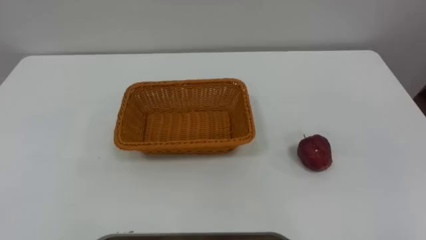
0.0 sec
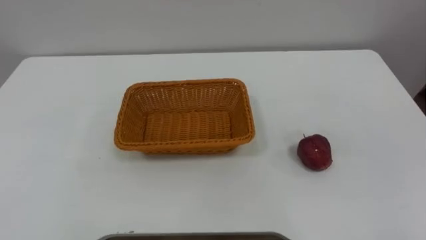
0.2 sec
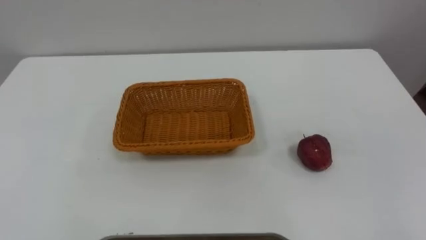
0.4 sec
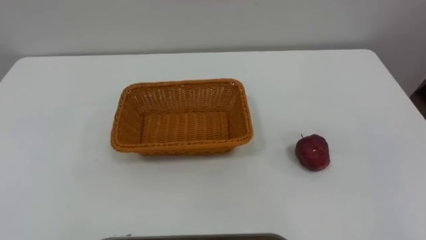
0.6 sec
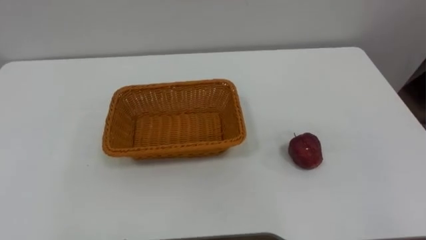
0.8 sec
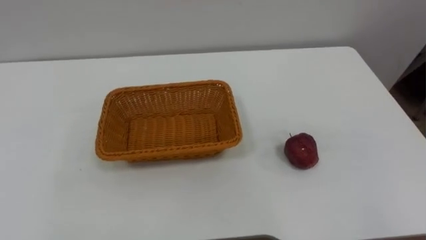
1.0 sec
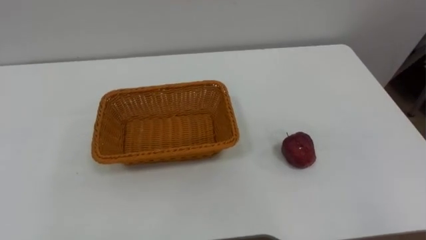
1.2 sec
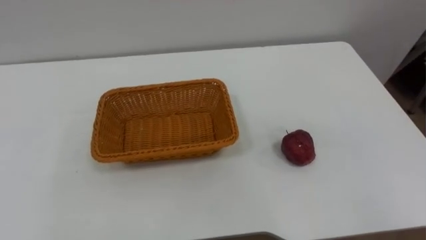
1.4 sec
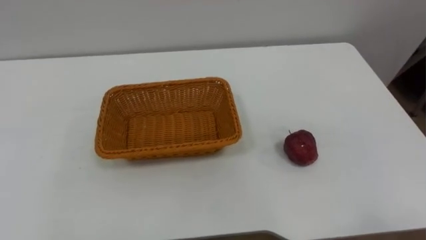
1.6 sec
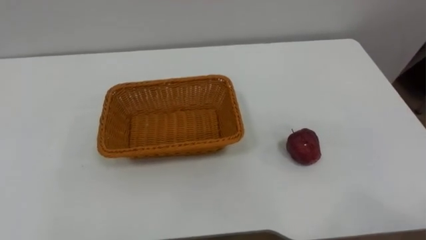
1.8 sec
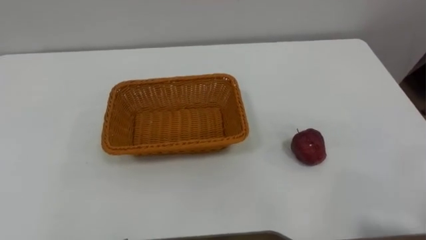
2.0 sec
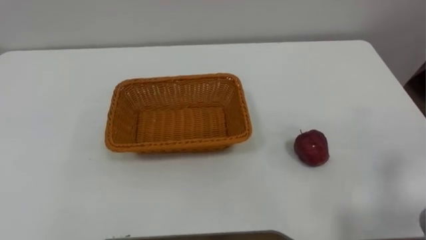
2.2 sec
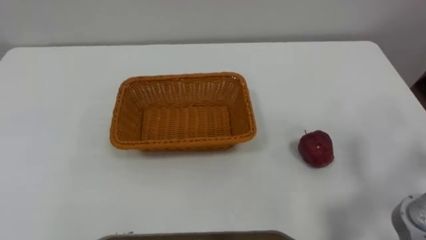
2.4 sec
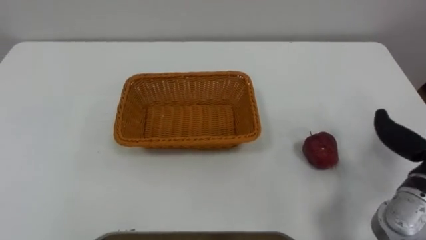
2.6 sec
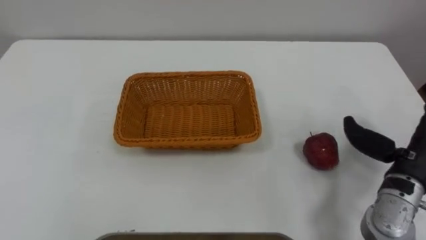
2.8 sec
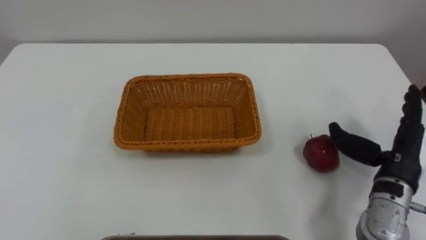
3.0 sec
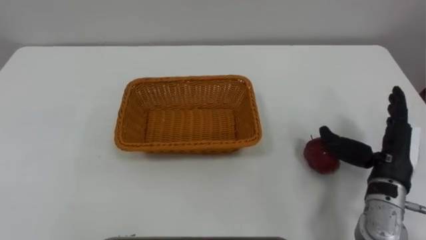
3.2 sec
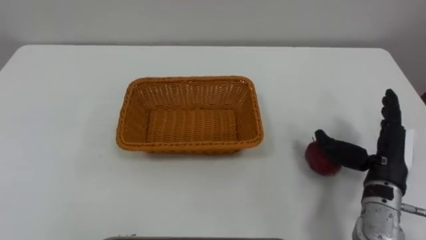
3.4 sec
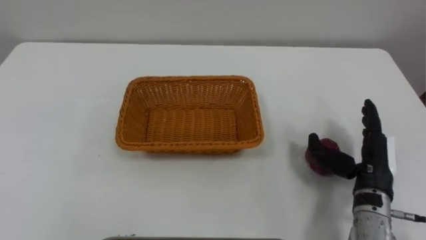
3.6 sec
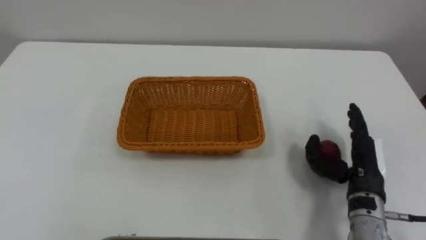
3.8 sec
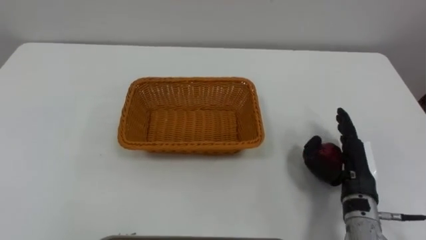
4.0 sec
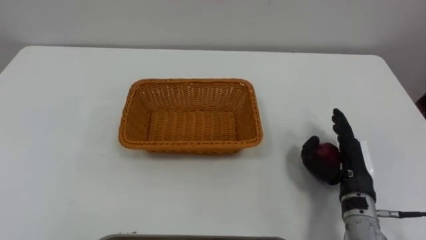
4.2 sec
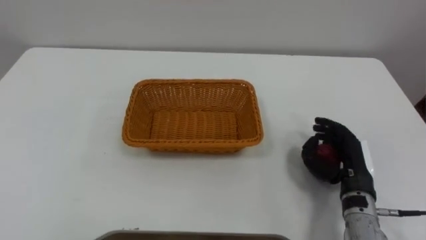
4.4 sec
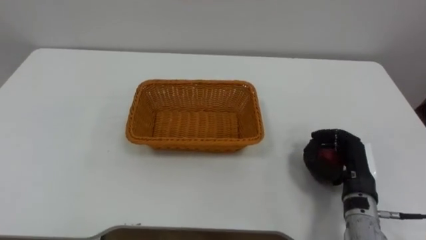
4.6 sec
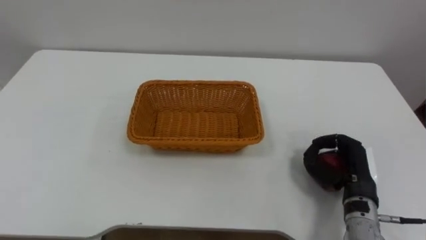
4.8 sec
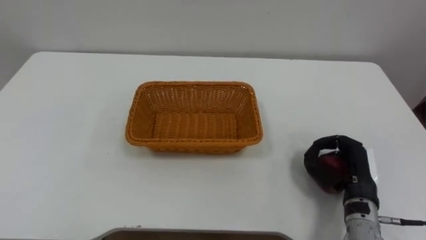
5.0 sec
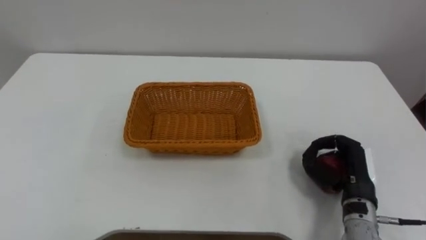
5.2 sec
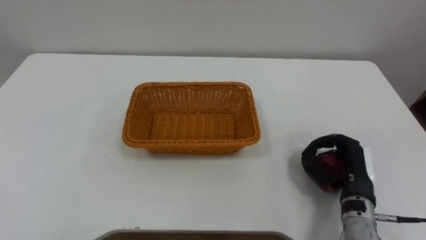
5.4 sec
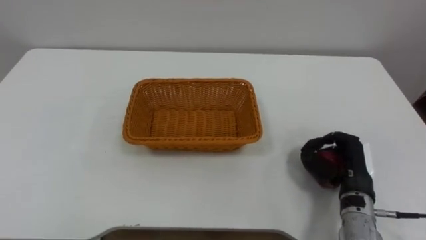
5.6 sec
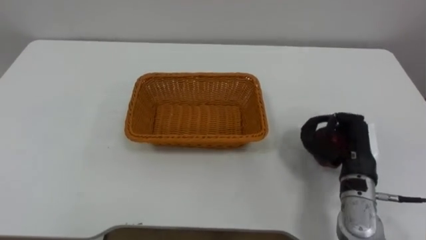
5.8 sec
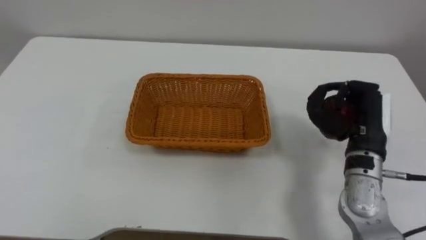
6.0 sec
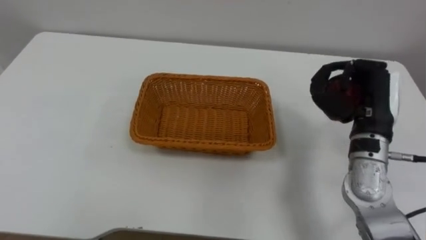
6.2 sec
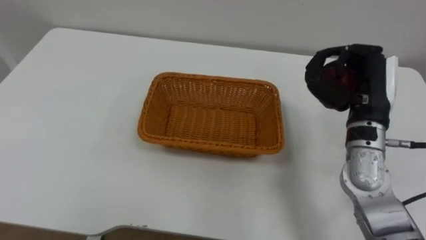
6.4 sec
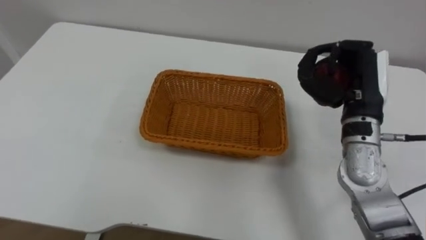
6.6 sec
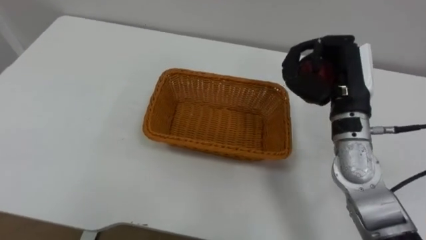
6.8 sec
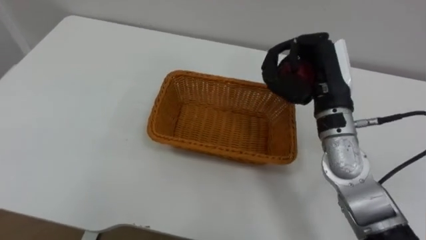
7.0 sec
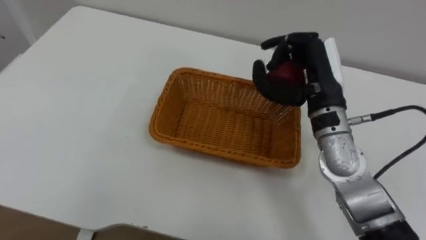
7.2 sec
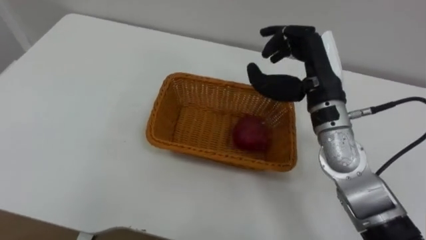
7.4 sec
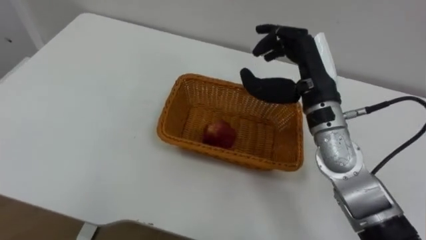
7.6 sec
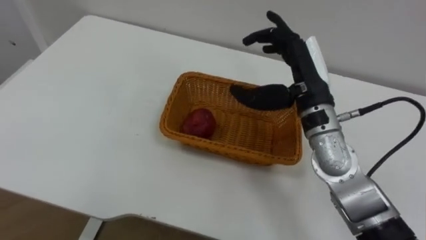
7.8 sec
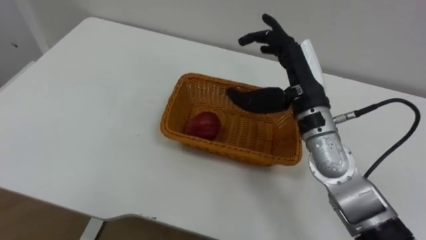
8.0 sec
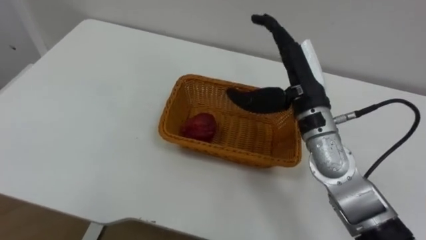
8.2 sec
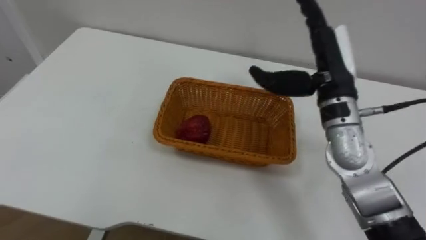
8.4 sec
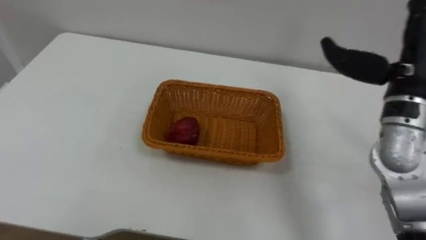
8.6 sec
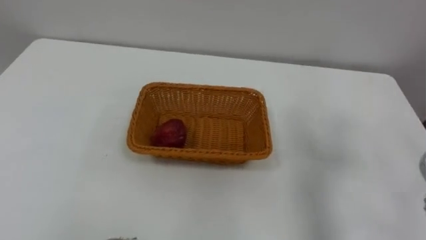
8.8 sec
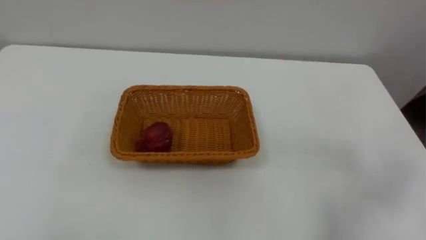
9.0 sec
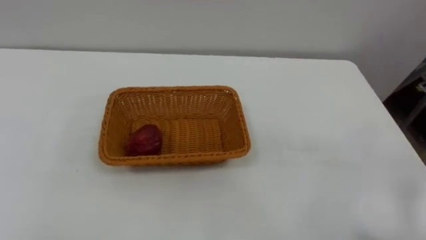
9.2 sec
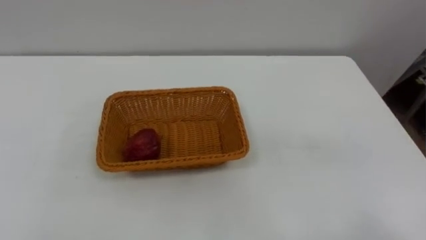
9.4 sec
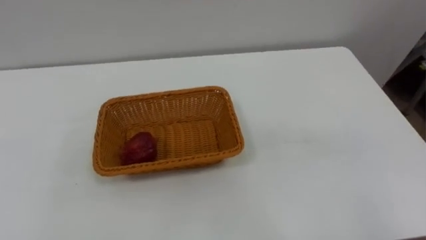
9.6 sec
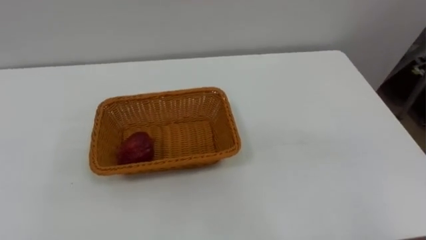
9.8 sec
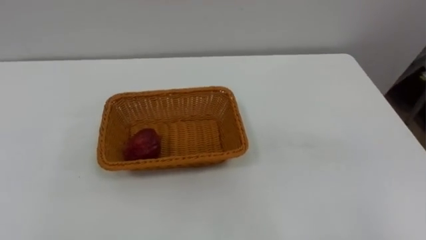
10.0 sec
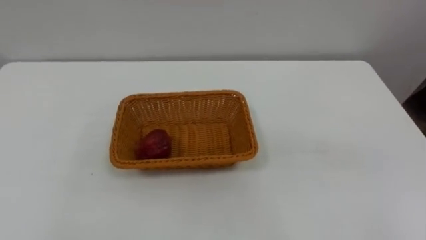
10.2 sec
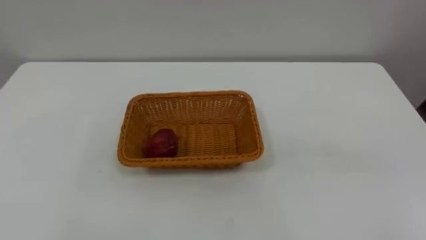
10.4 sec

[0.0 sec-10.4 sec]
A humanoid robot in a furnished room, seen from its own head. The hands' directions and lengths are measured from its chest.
Task of the whole recording: Pick the apple and place it in the box.
3.0 sec to 4.4 sec: The right hand goes approximately 10 cm downward and to the left.
4.4 sec to 6.0 sec: The right hand travels upward by about 10 cm, and closes.
6.0 sec to 7.4 sec: The right hand shifts some 15 cm to the left, upward and forward.

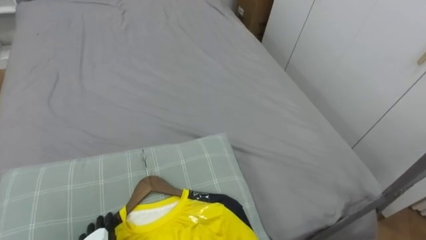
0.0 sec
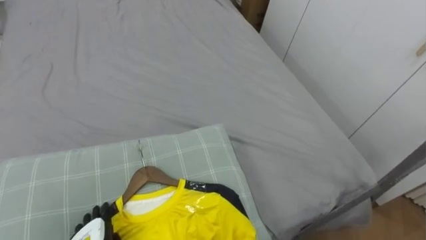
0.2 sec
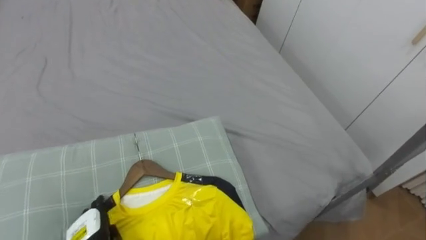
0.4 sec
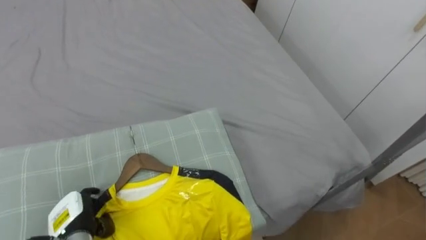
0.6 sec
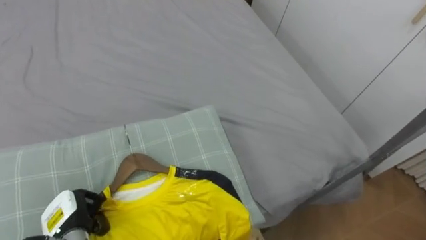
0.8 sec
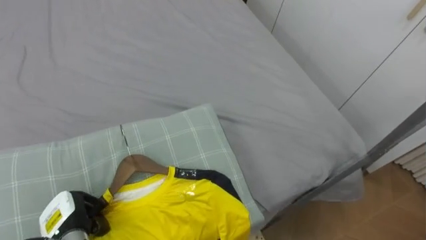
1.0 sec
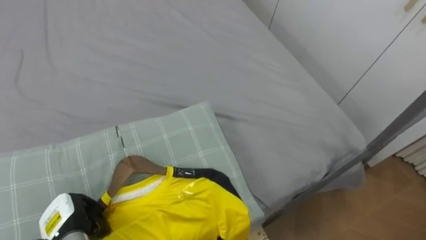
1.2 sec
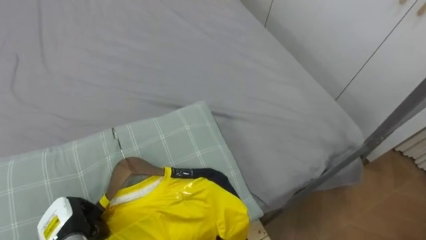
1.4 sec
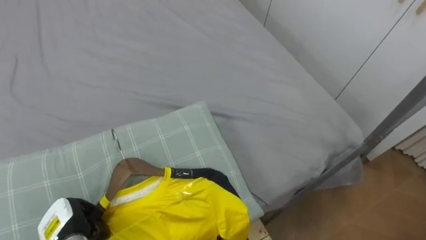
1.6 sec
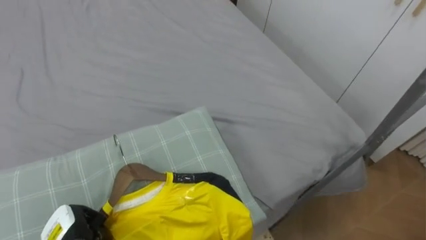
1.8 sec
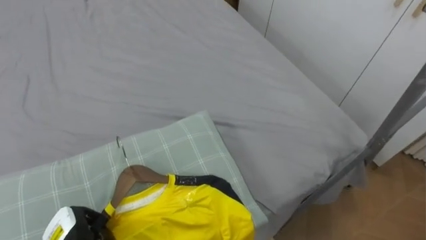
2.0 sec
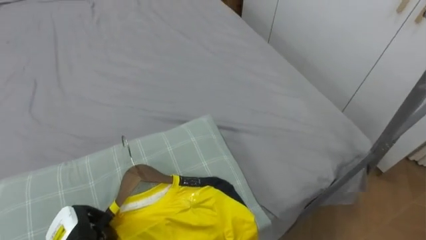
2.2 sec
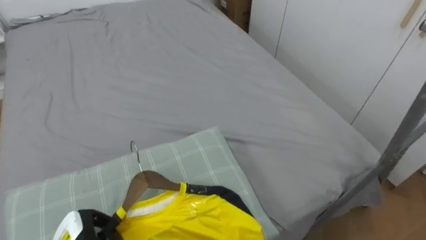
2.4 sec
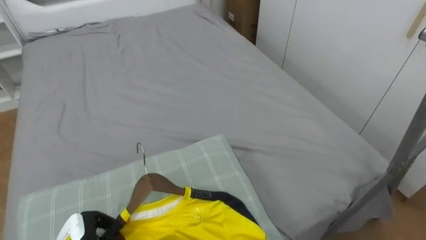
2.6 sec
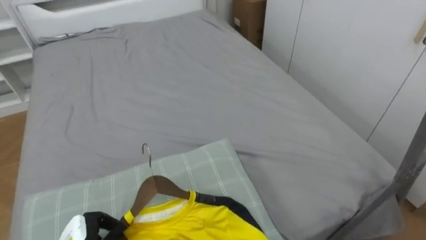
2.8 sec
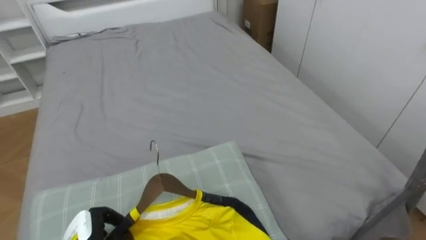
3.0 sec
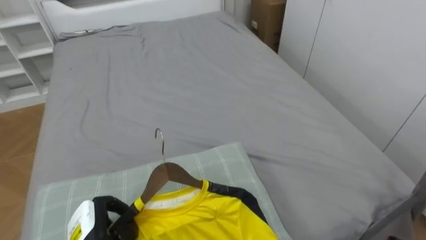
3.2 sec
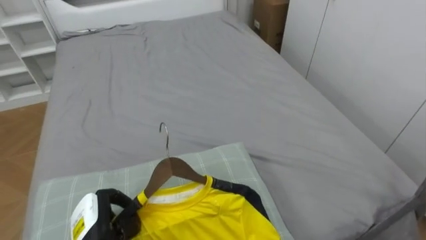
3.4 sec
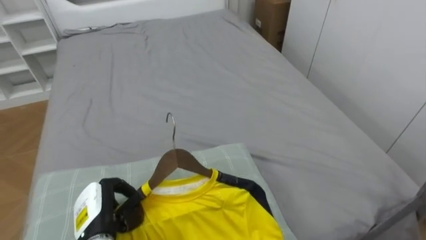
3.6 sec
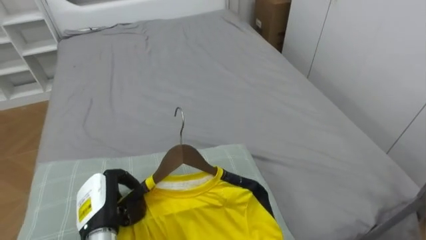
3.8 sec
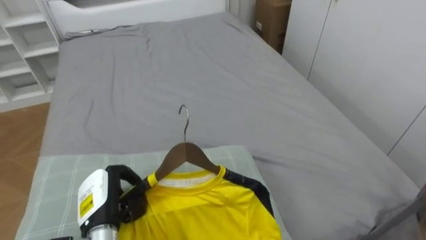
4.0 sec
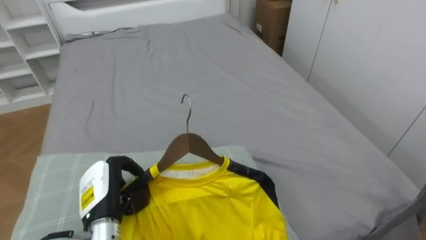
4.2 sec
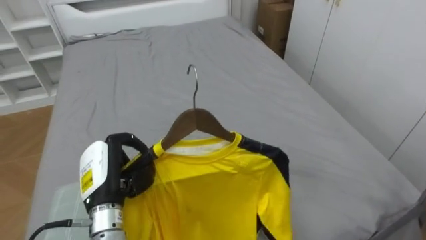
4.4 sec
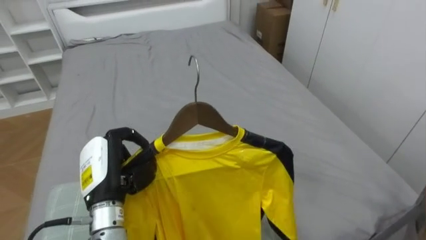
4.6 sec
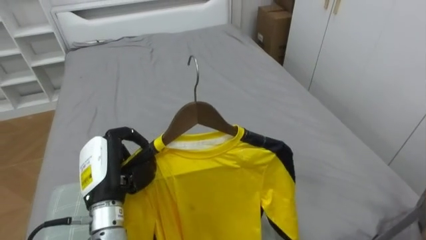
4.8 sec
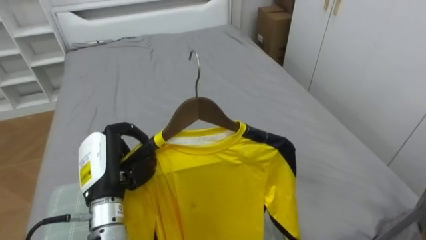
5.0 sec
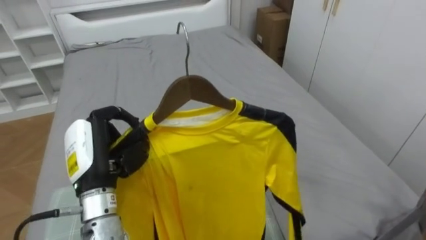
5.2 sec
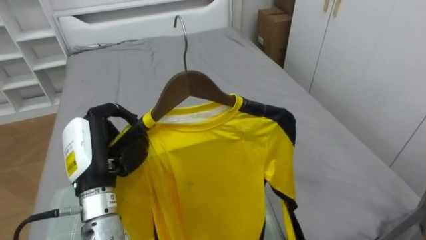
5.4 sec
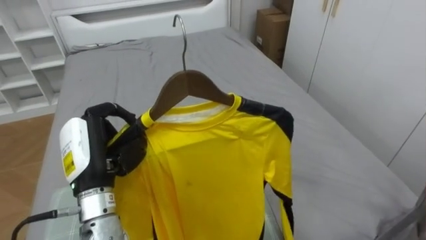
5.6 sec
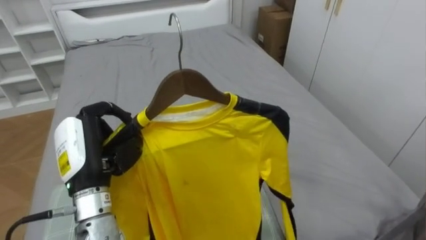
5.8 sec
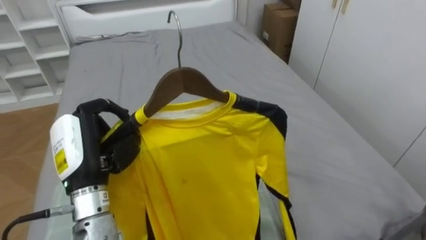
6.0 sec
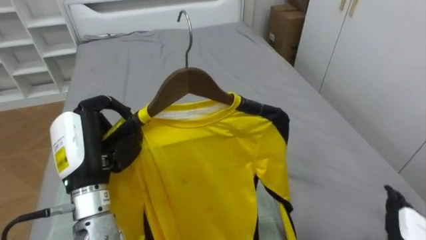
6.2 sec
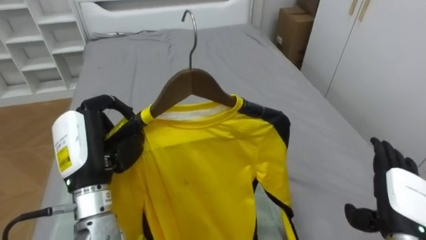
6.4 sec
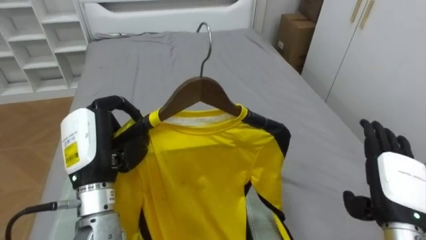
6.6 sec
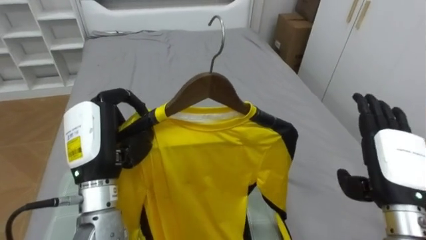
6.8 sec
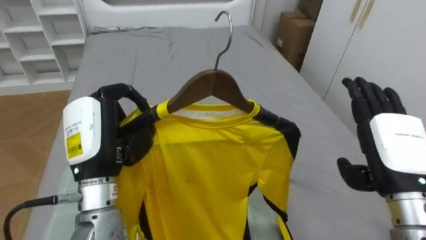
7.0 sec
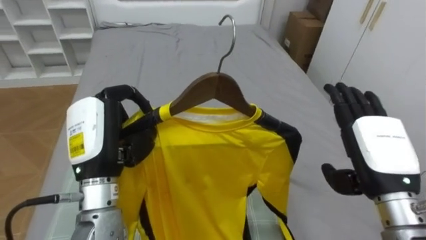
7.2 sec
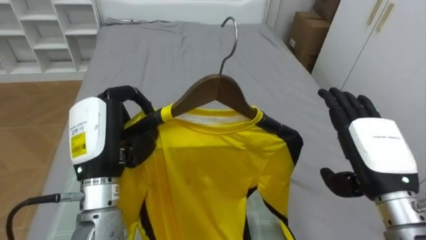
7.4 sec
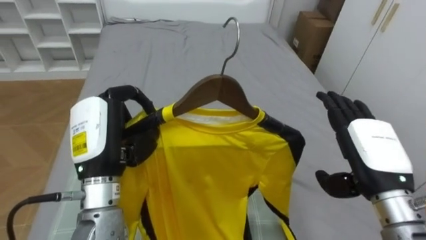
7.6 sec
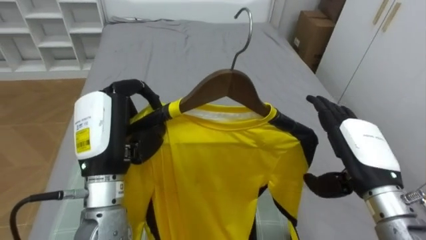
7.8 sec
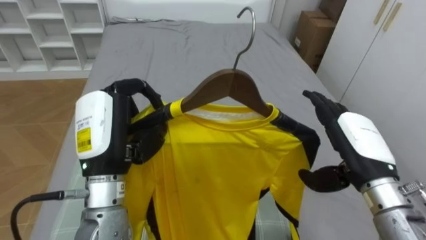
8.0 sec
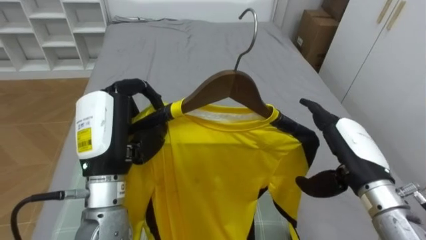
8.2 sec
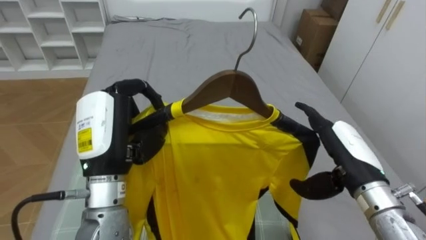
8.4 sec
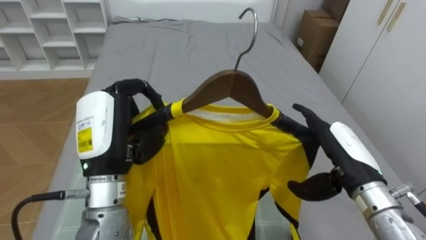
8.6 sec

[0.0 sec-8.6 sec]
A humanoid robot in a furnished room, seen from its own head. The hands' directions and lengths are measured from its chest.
Task of the whole recording: Pick up the yellow shirt on the bed and hang it on the clothes rack on the right.
4.4 sec to 5.8 sec: The left hand travels upward by about 5 cm.
